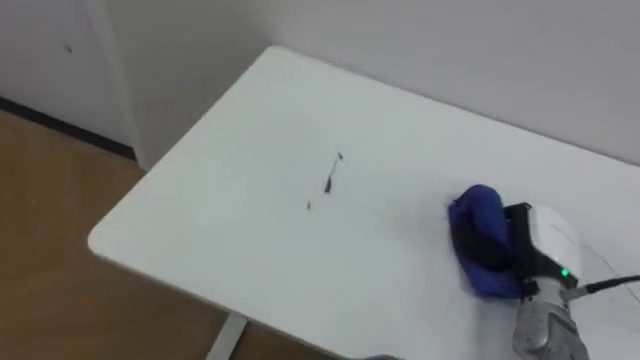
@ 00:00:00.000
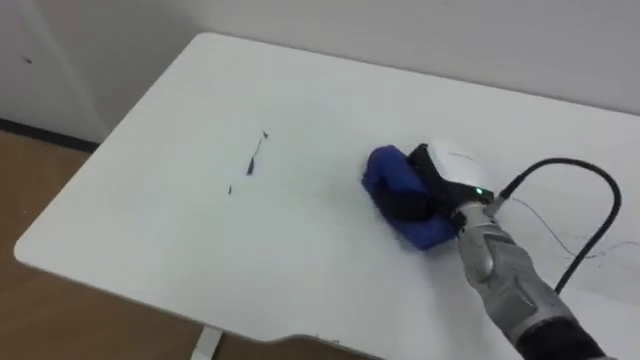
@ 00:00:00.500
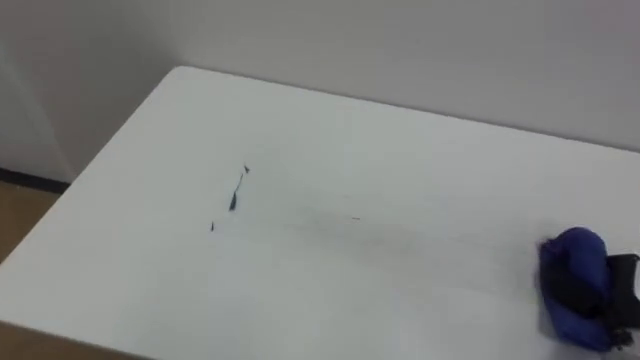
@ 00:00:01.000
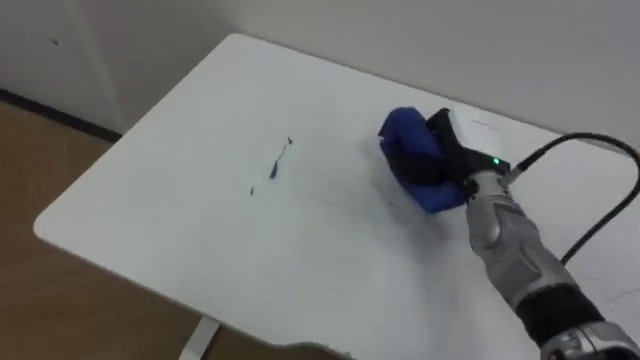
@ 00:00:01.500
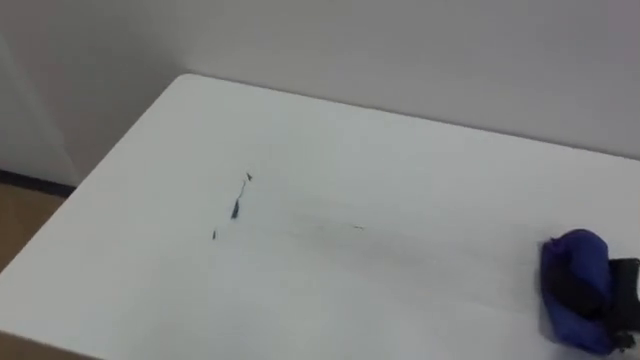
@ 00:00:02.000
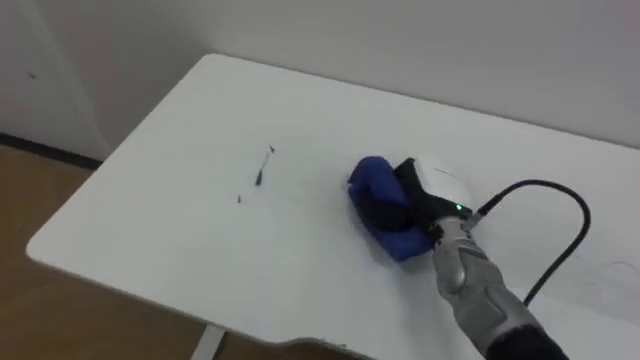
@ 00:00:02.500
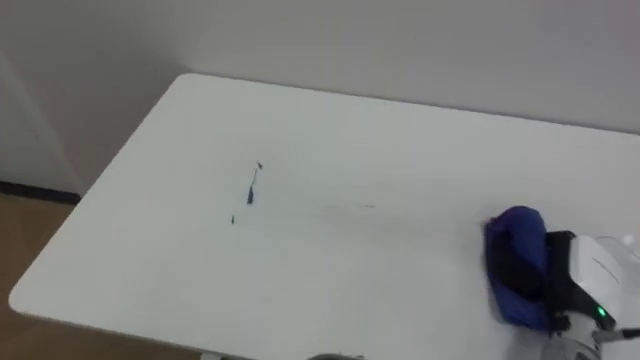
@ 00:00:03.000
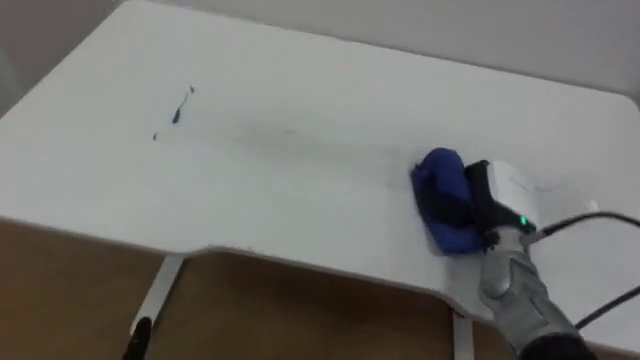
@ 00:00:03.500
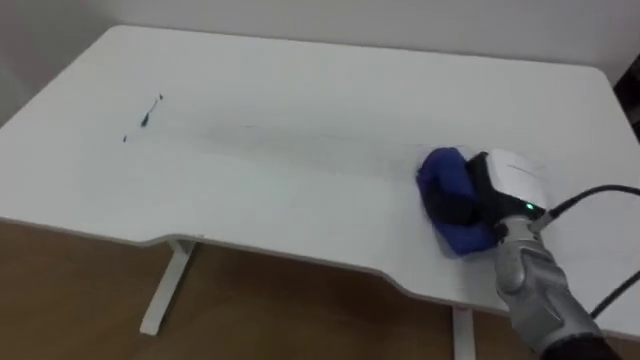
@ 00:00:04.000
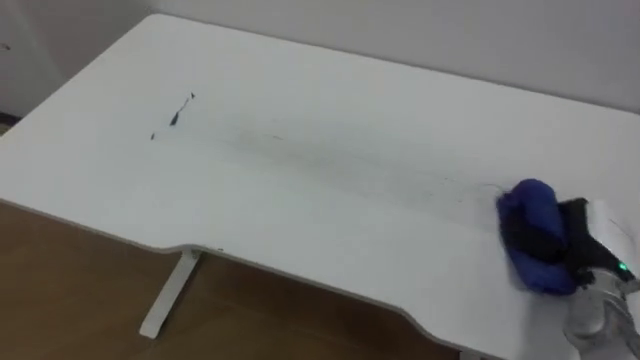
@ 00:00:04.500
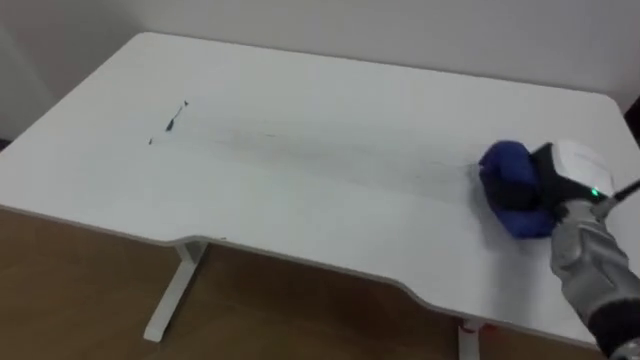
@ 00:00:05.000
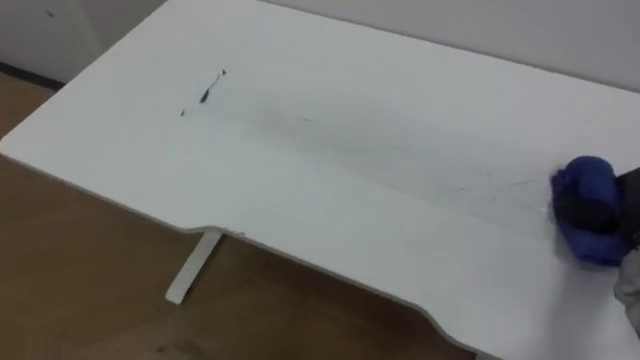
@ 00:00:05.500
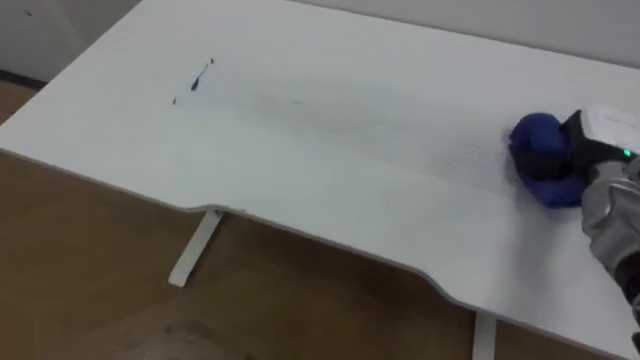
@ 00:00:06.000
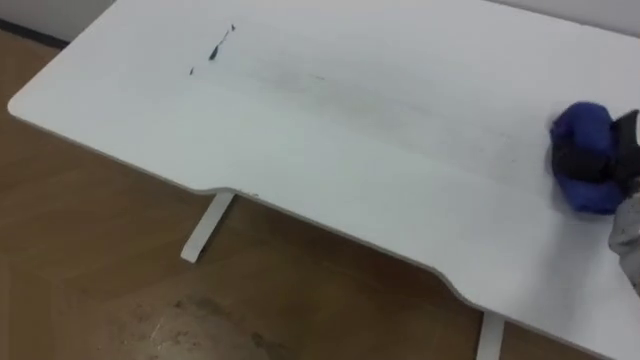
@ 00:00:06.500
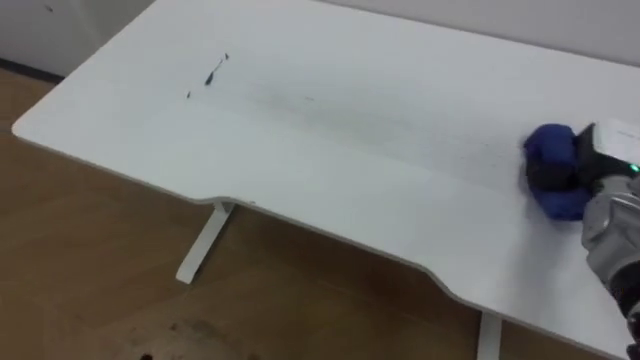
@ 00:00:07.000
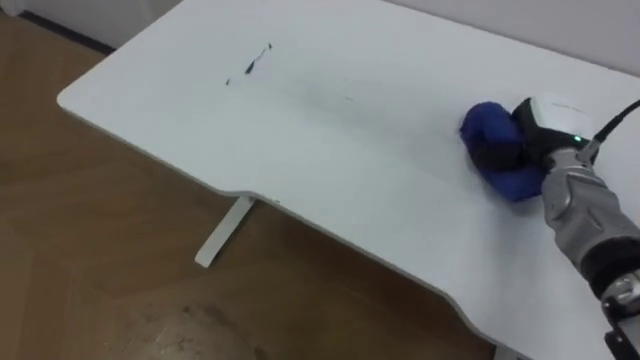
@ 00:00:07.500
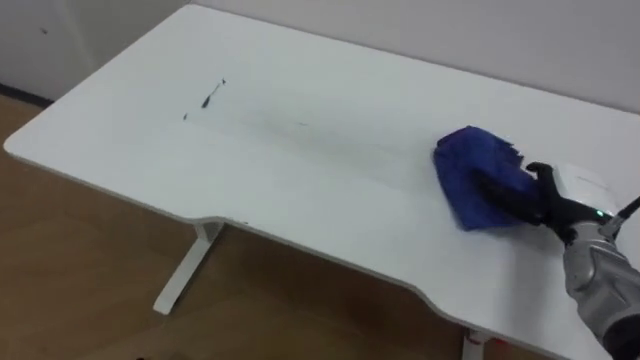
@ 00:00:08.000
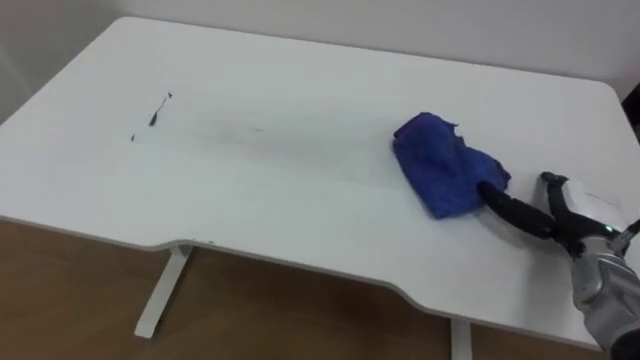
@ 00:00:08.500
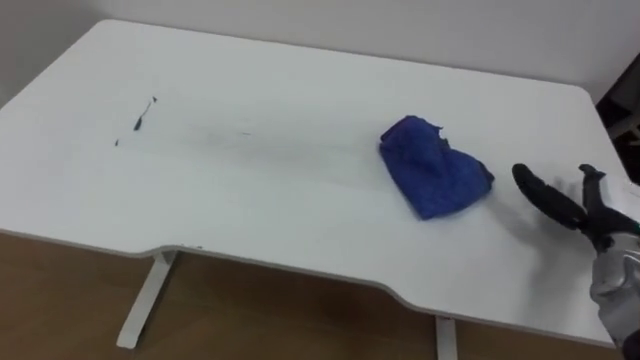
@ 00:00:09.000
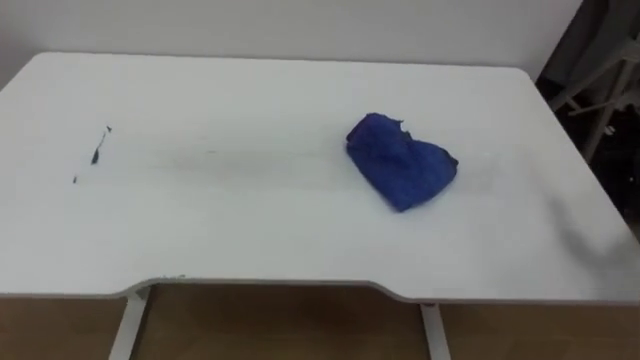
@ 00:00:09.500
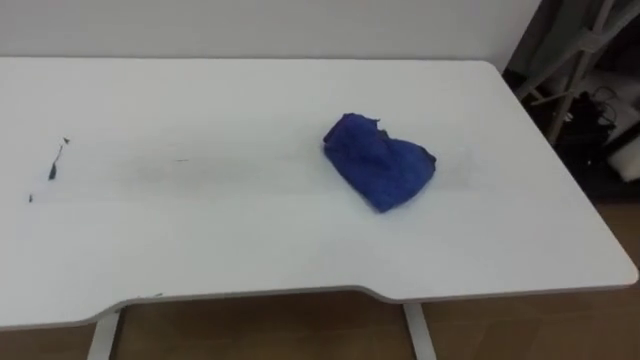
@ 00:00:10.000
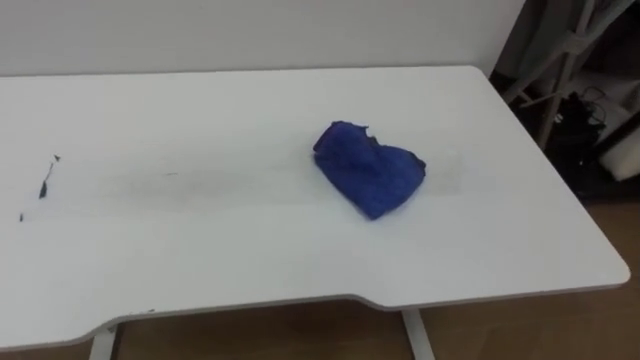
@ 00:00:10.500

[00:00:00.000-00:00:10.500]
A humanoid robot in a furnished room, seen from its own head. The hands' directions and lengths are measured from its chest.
Task of the whole recording: Wipe the blue pen marks off the table with the rag.
00:00:00.000 to 00:00:02.000: The right hand goes left and right, some 20 cm each way, reversing 3 times.
00:00:02.000 to 00:00:04.000: The right hand moves left and right over about 25 cm, changing direction 2 times.

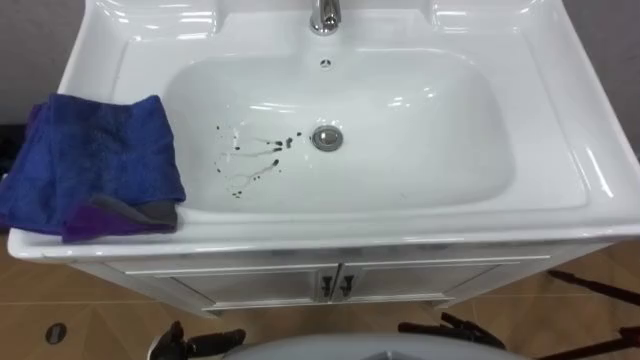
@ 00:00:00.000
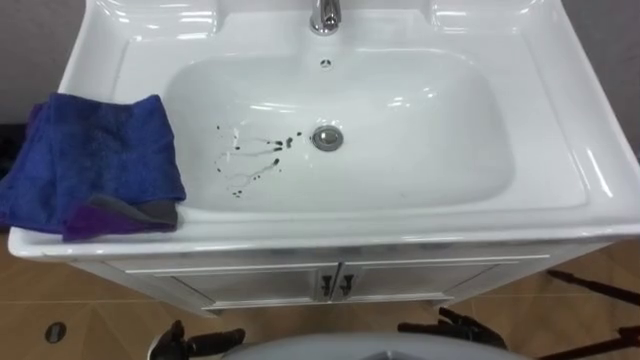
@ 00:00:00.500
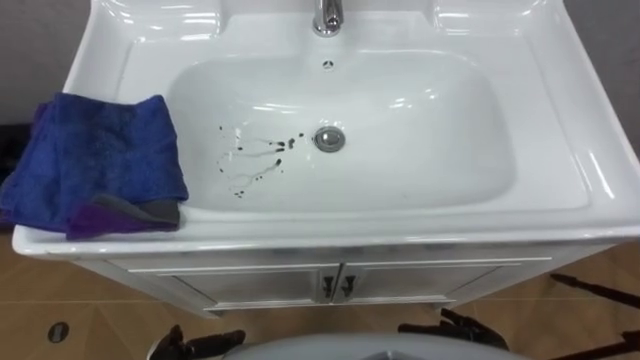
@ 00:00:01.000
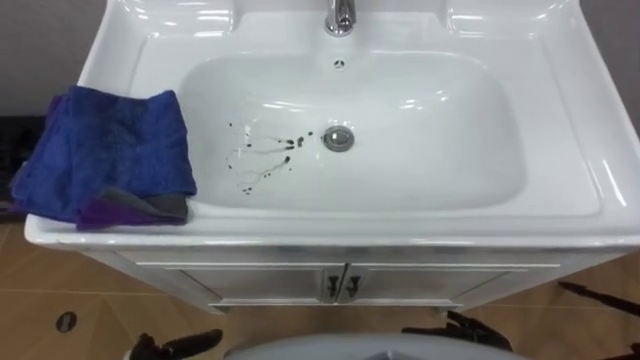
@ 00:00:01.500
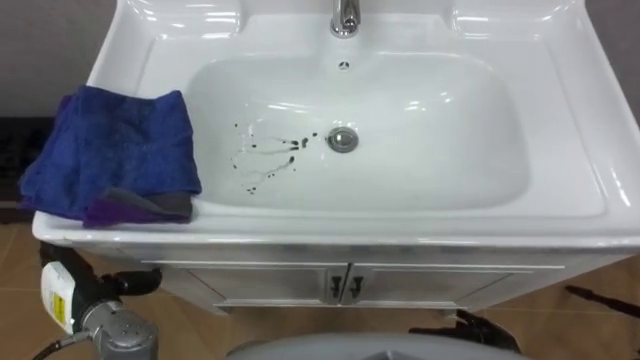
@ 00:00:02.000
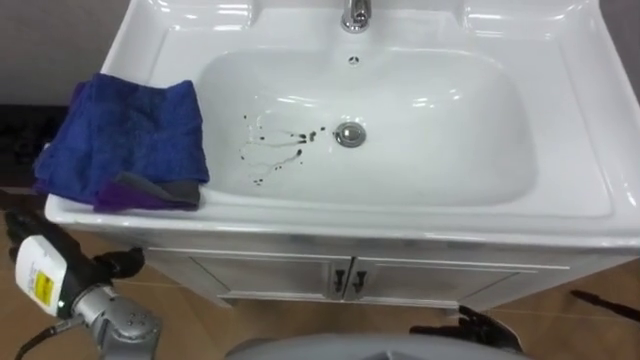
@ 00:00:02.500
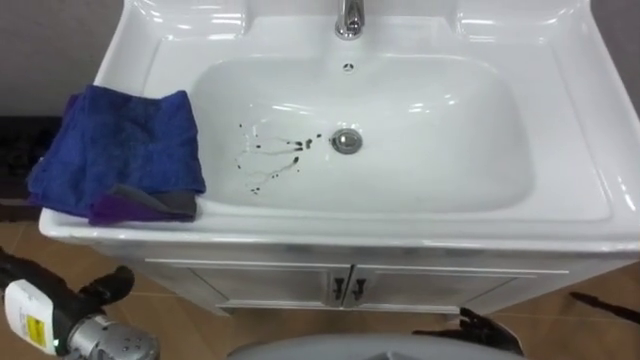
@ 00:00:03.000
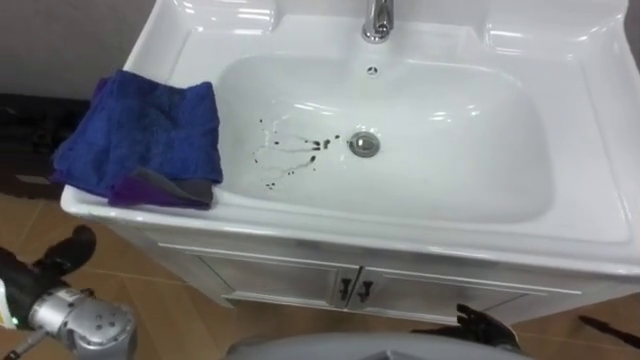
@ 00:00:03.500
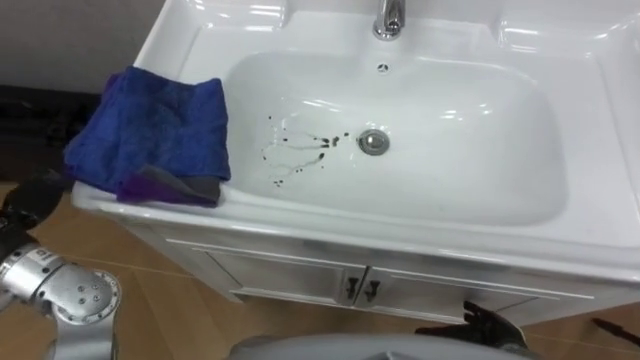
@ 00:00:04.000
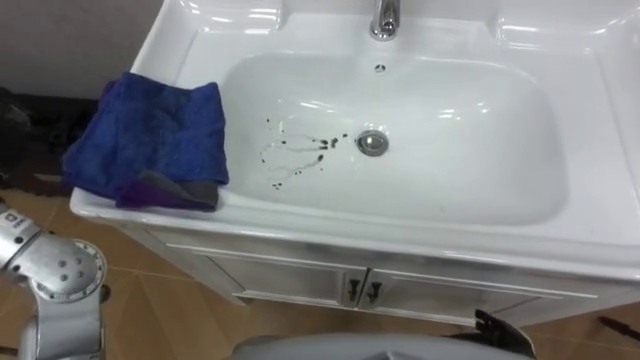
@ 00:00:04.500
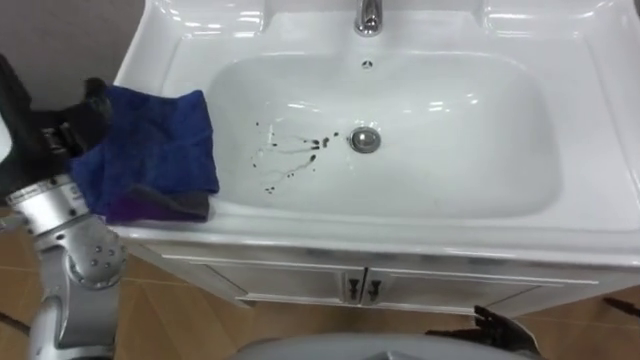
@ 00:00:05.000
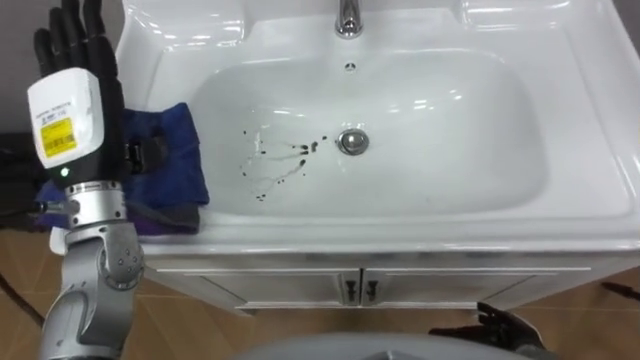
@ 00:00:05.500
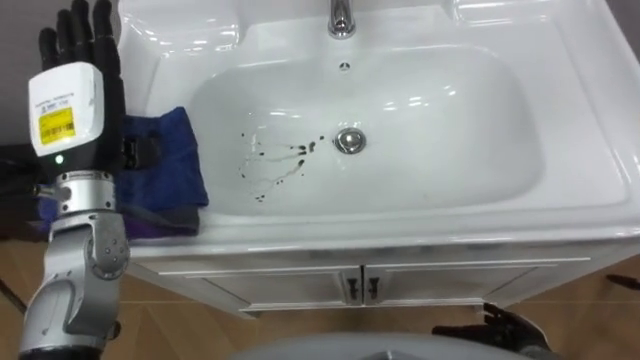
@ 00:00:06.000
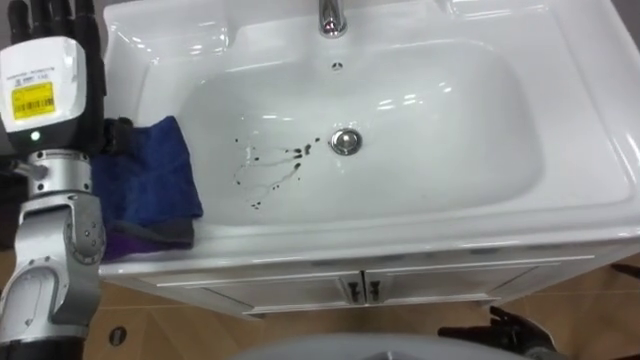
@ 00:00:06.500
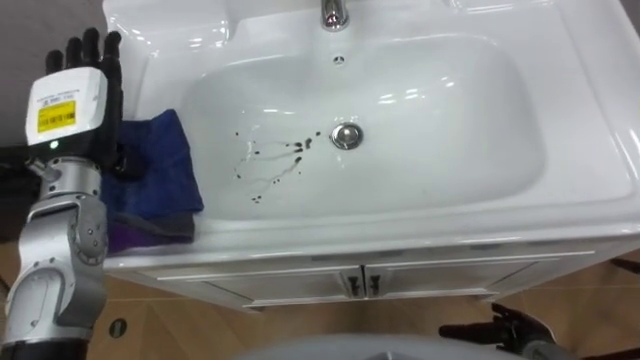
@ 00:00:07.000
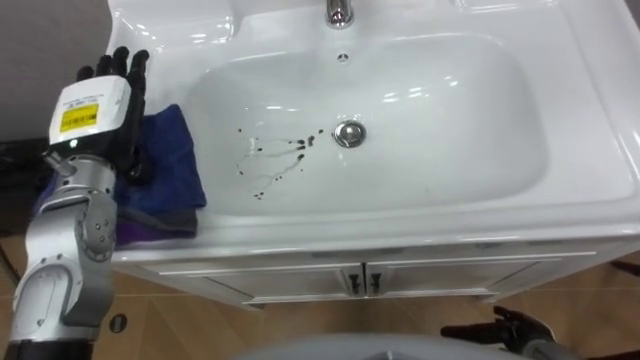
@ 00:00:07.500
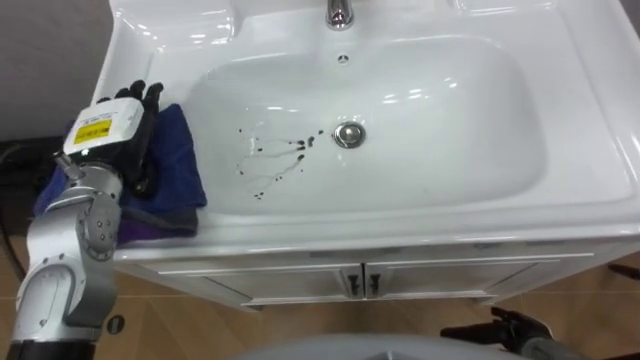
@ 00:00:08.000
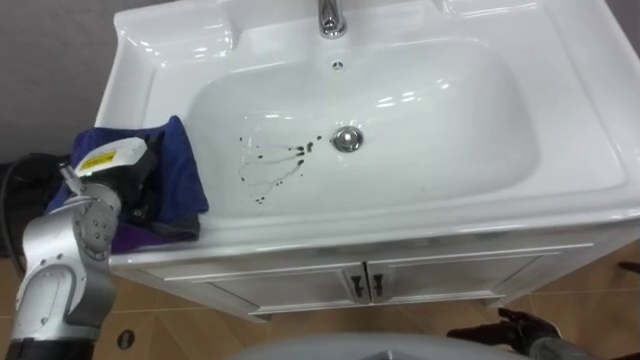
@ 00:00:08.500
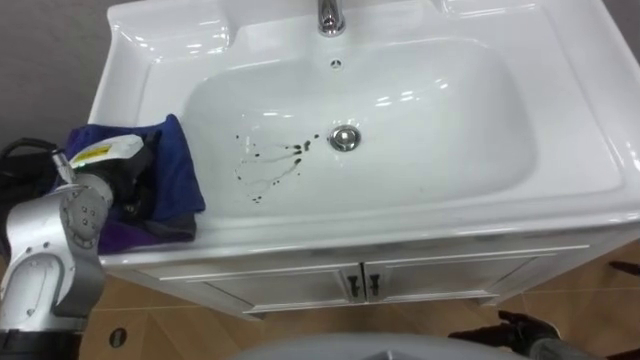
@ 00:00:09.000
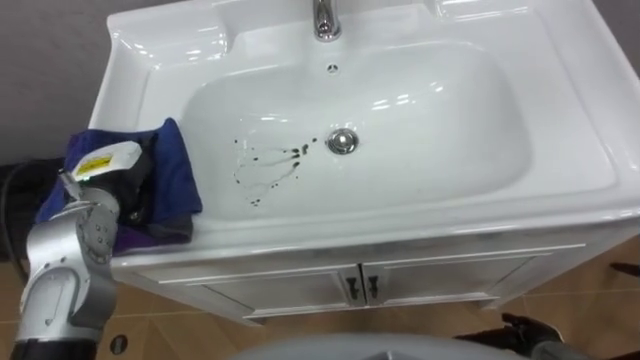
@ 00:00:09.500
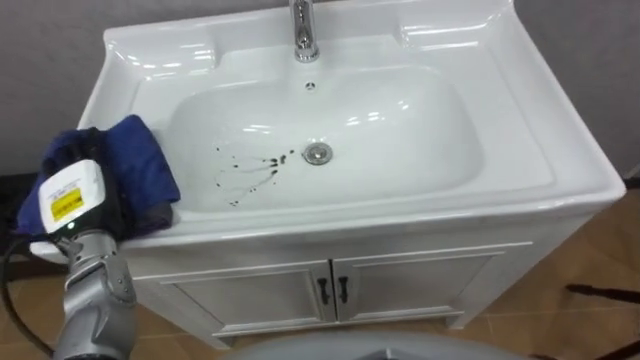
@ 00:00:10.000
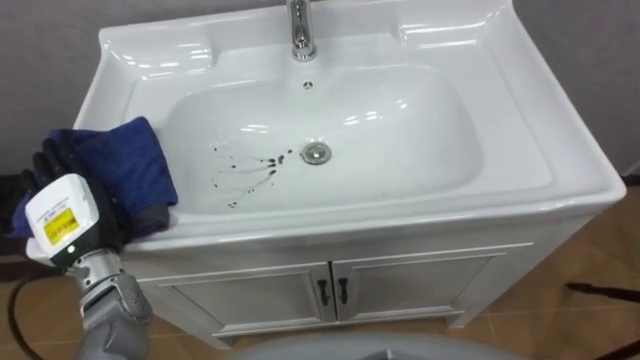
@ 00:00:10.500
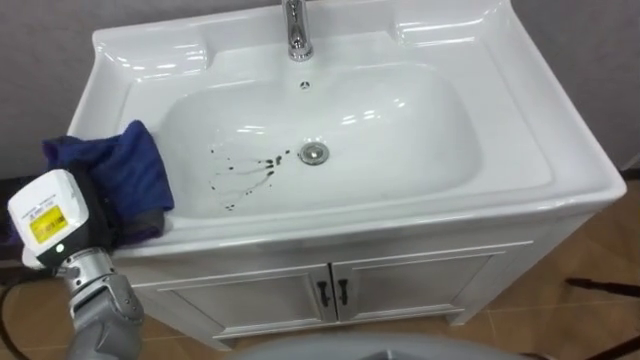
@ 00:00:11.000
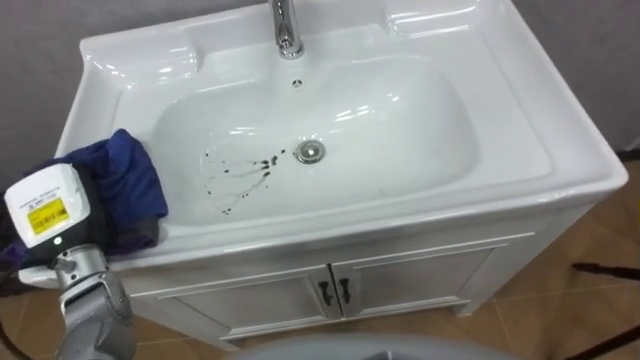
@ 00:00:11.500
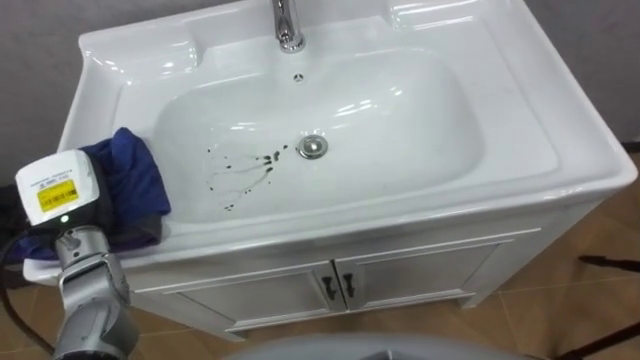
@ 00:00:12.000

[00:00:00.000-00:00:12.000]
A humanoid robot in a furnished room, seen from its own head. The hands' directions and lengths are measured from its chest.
Task of the whole recording: Use the cloth on the right to wipe away the black stain in the sink.
00:00:08.000 to 00:00:10.000: The left hand shifts roughly 10 cm downward, backward and to the left.
00:00:10.000 to 00:00:12.000: The left hand closes its fingers.
